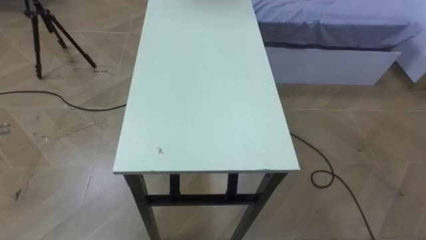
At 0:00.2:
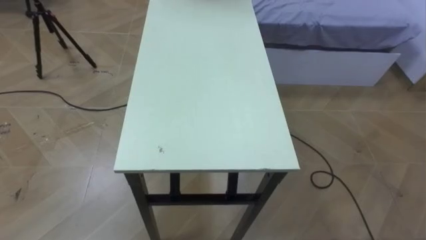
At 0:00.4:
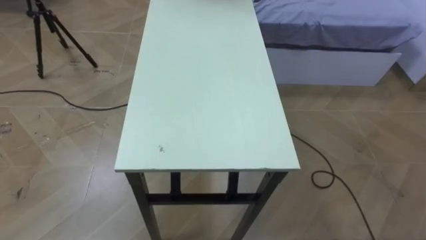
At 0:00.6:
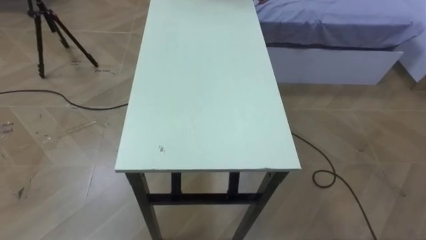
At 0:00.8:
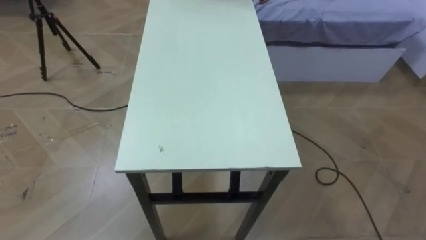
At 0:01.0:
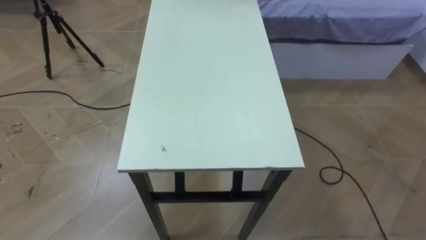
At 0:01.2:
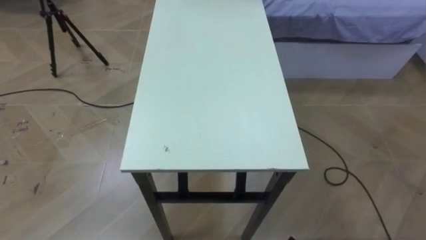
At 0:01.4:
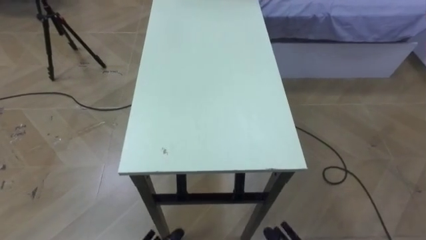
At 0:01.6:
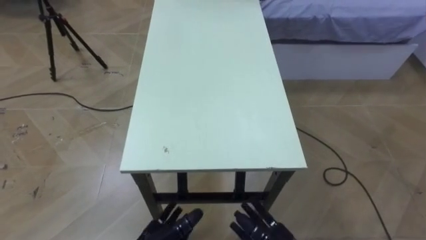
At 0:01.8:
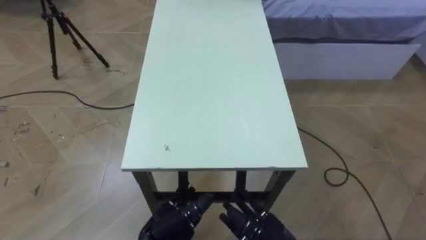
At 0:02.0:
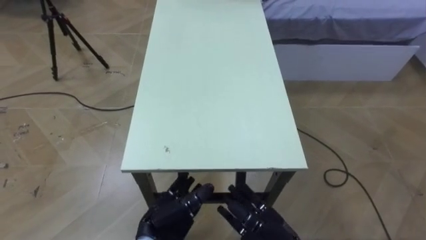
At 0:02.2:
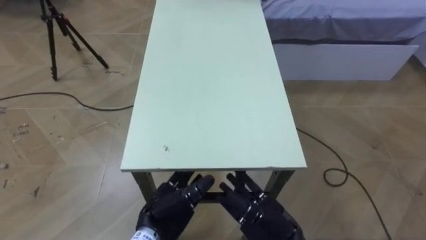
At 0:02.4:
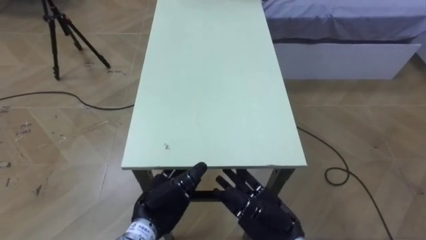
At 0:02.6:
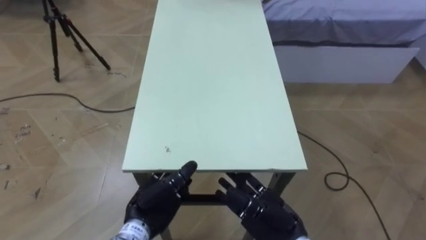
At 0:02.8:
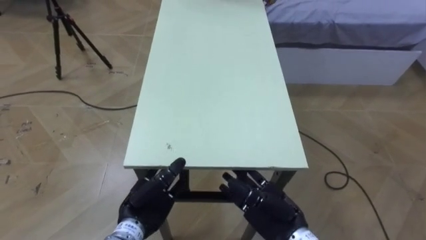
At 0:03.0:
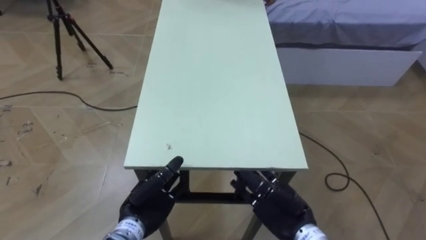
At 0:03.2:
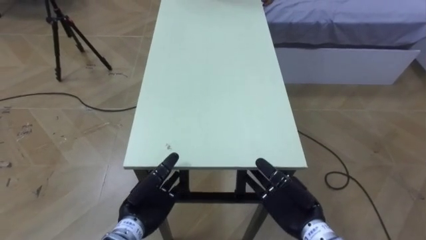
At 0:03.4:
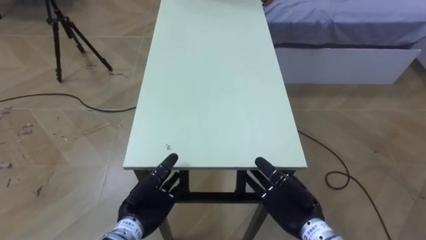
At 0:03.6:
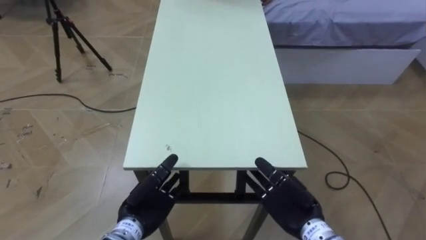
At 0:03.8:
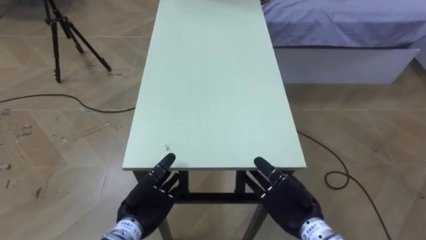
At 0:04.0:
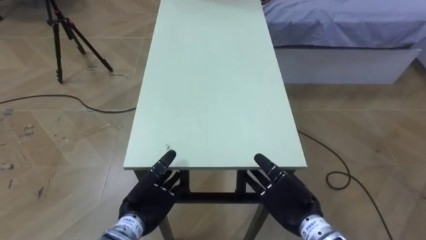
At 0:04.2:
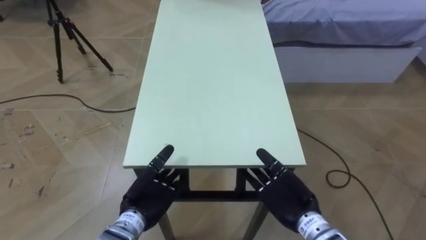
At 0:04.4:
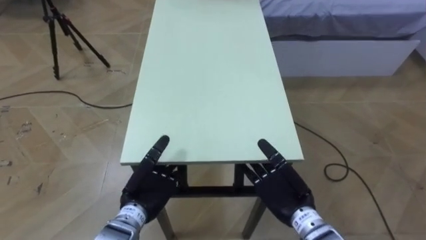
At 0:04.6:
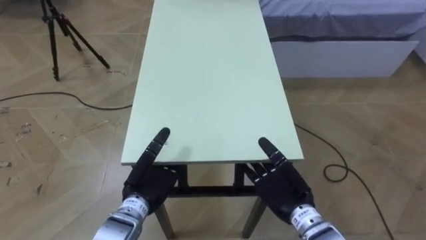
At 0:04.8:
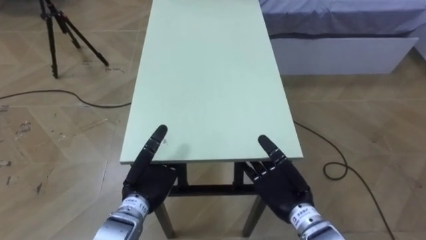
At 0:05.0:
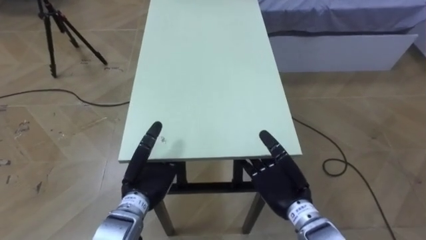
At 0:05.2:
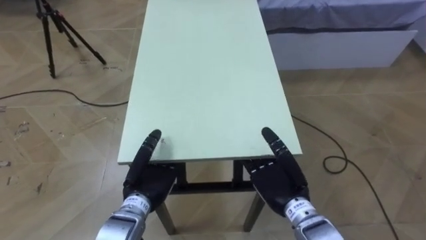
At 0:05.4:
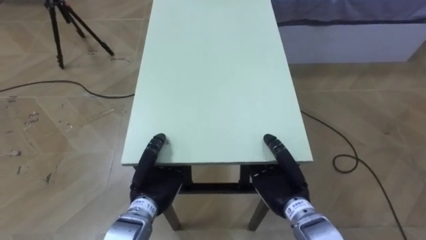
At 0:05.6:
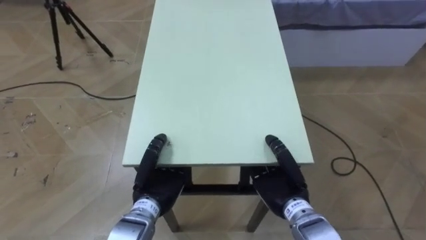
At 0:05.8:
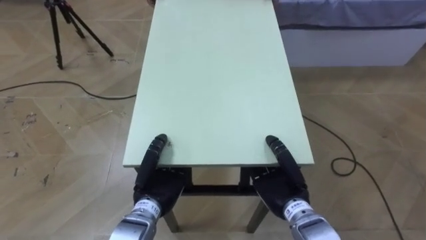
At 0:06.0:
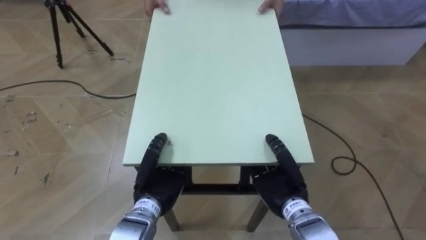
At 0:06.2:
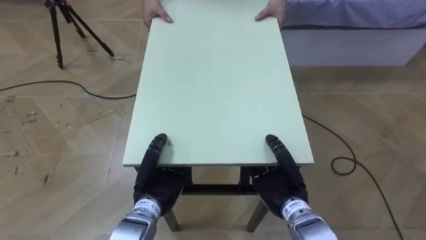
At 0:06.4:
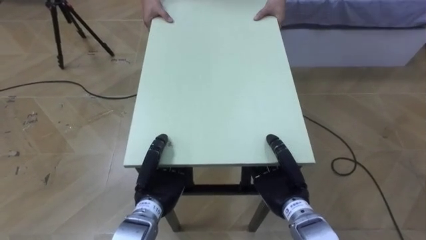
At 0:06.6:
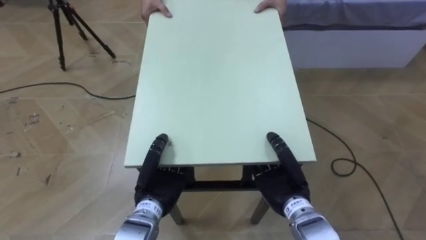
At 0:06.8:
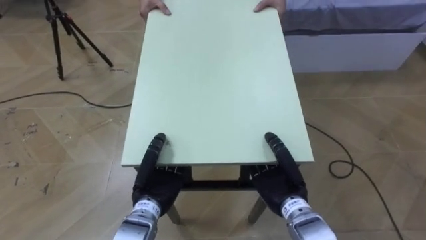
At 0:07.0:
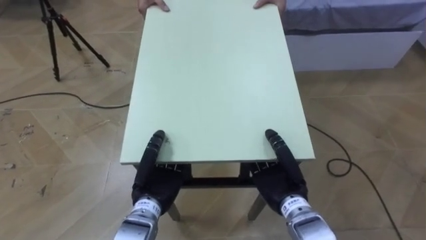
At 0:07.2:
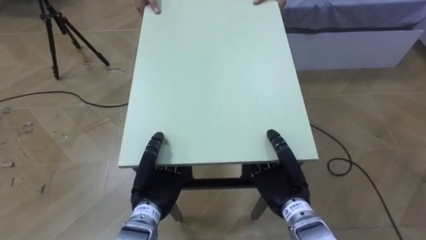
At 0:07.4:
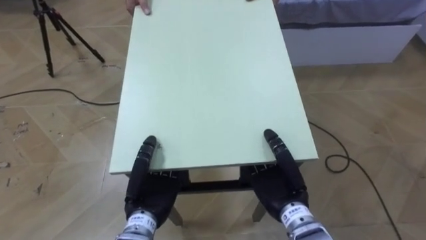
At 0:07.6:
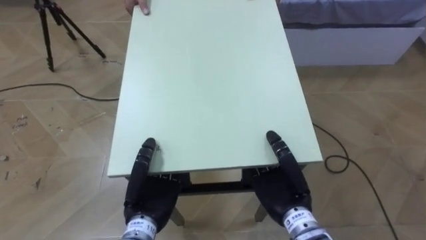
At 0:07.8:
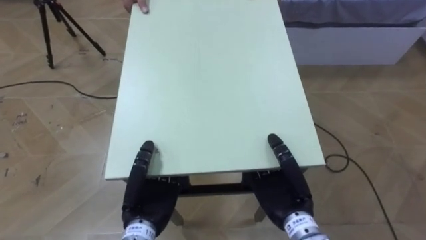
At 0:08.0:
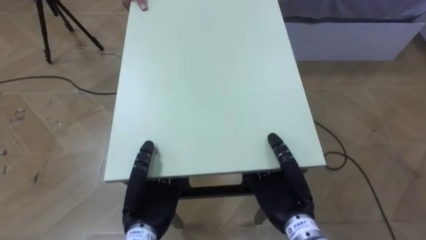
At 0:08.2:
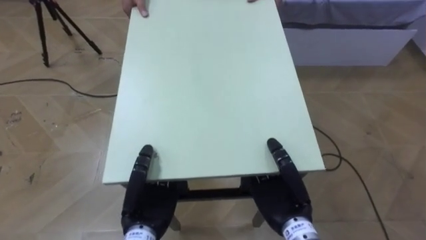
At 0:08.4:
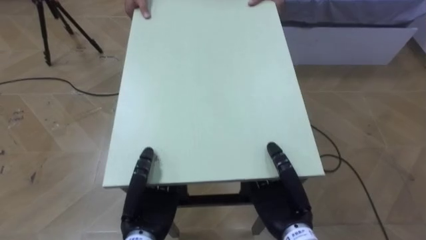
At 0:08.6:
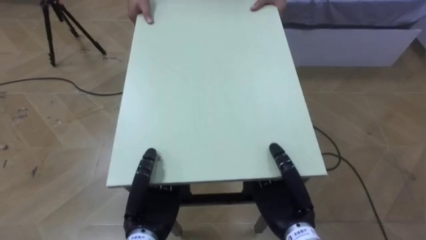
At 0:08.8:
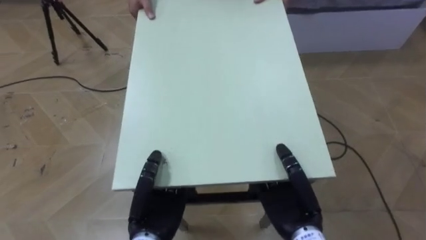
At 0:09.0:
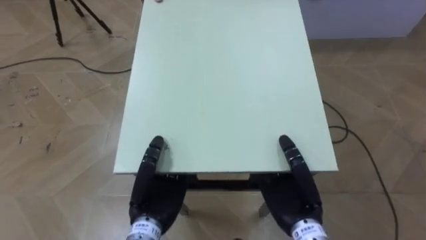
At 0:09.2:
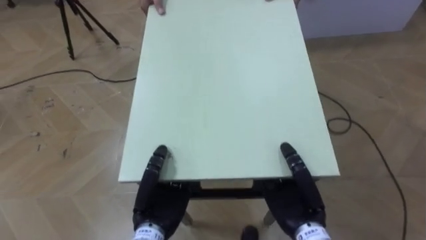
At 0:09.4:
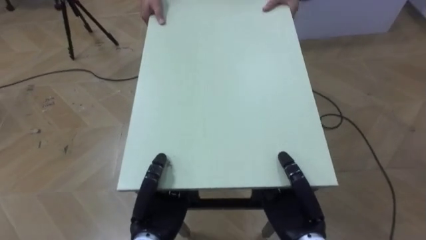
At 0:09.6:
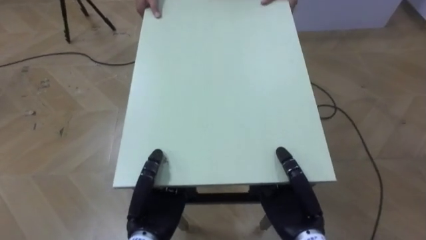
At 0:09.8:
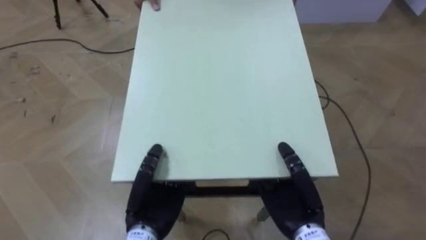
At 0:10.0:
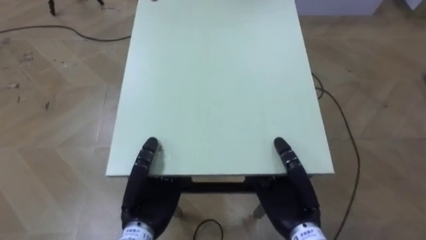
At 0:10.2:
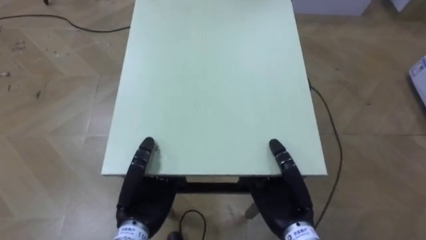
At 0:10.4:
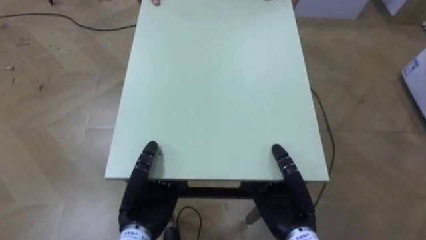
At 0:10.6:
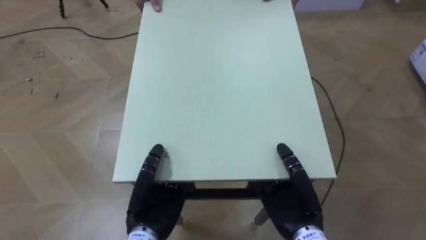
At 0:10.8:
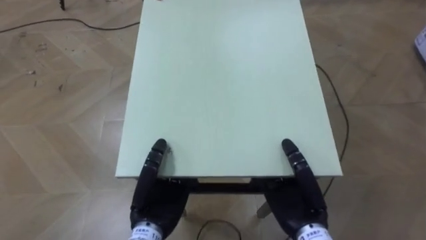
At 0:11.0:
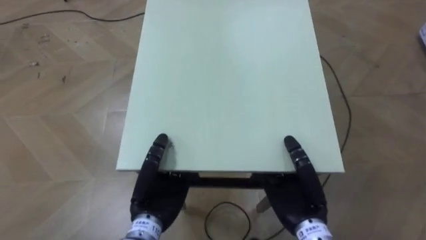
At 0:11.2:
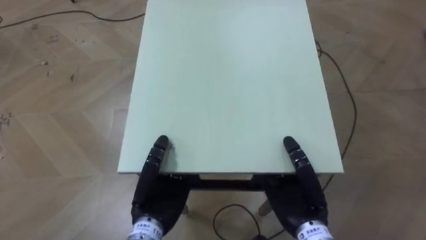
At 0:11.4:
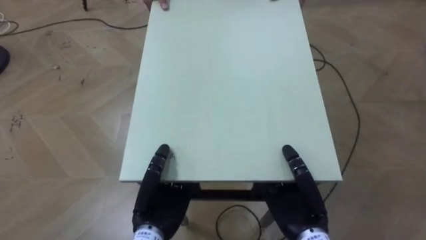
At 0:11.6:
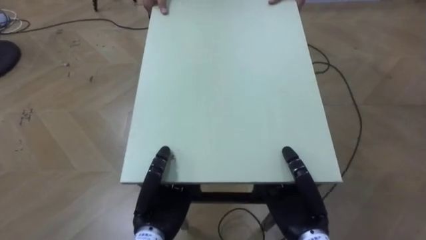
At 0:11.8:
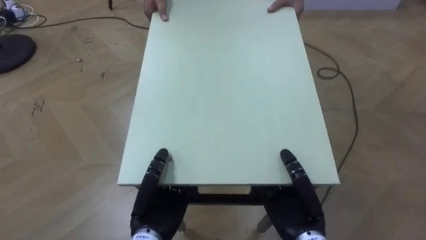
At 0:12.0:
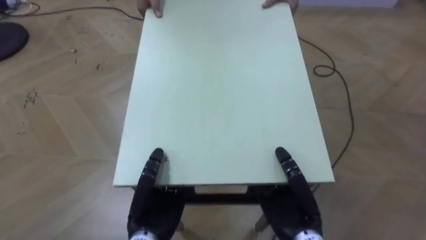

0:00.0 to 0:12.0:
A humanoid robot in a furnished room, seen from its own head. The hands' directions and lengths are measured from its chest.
Task of the whole recording: Move the table to the back left with someone.
0:04.4 to 0:06.0: The right hand closes; the left hand closes its fingers.

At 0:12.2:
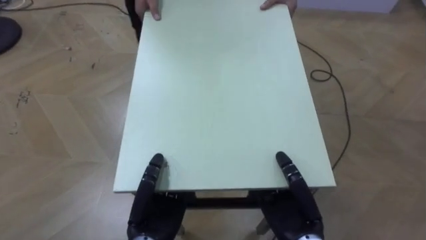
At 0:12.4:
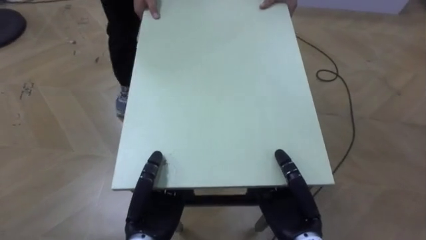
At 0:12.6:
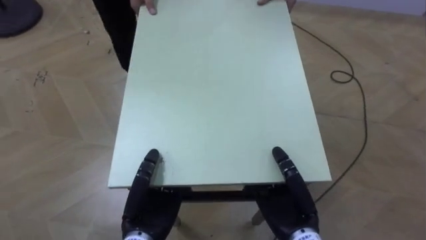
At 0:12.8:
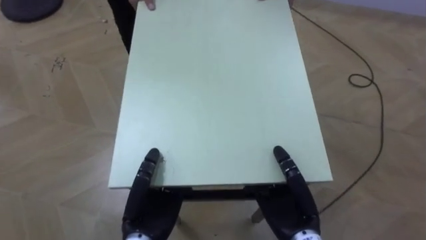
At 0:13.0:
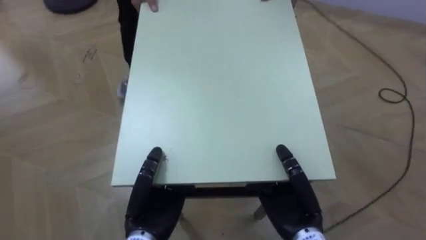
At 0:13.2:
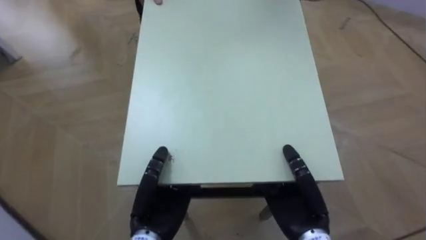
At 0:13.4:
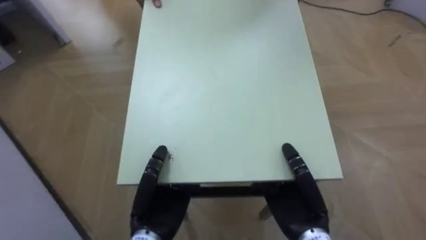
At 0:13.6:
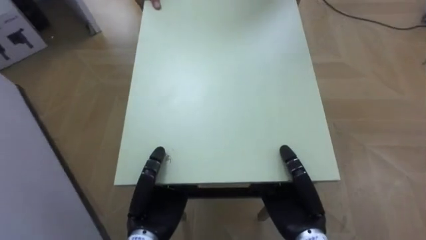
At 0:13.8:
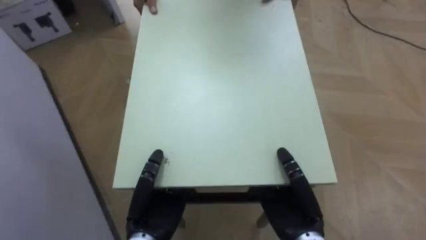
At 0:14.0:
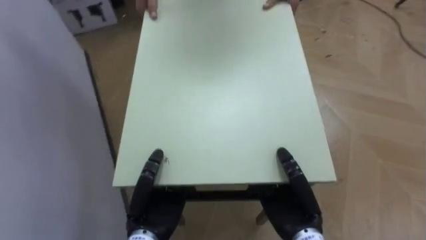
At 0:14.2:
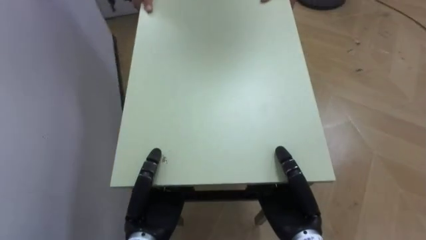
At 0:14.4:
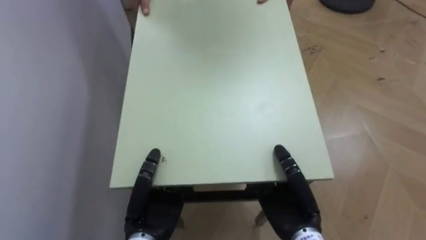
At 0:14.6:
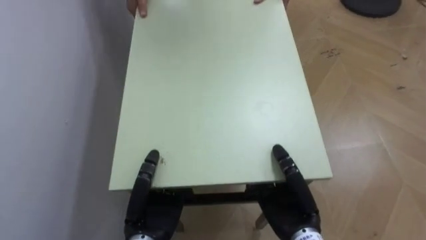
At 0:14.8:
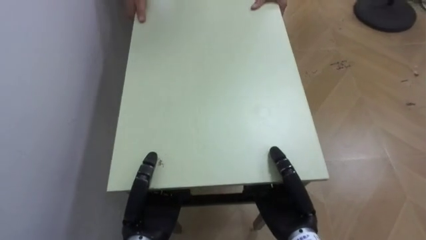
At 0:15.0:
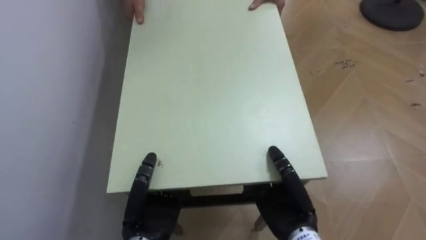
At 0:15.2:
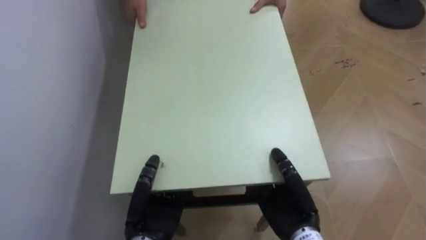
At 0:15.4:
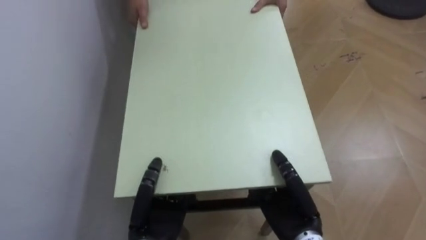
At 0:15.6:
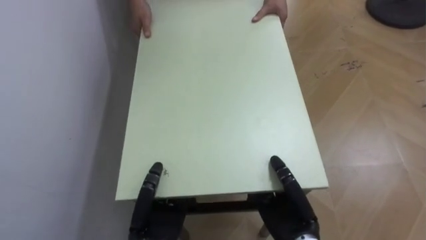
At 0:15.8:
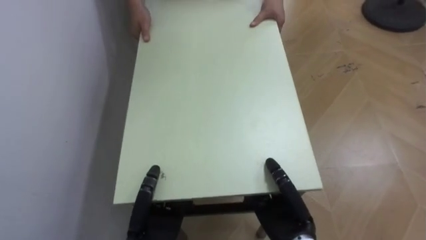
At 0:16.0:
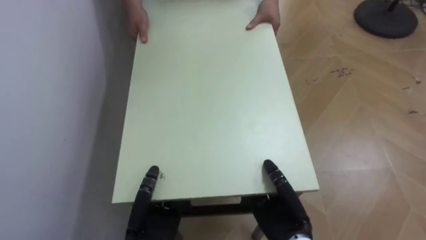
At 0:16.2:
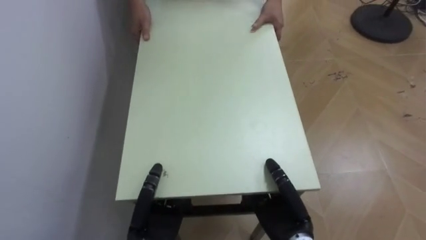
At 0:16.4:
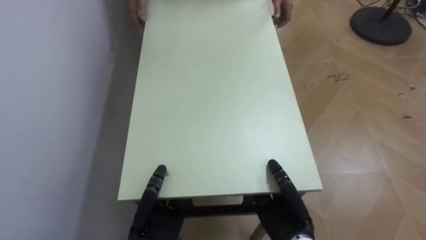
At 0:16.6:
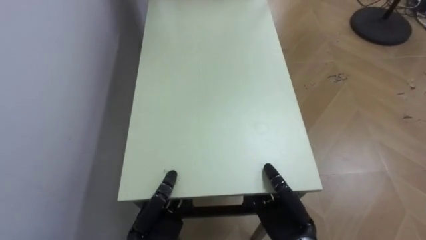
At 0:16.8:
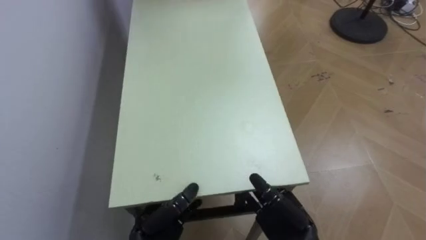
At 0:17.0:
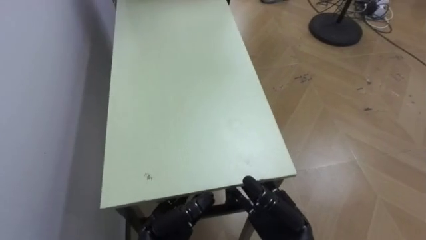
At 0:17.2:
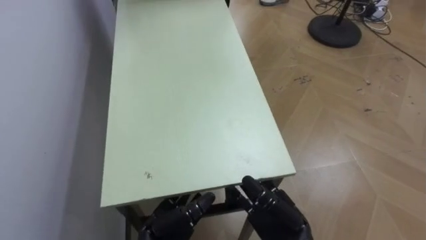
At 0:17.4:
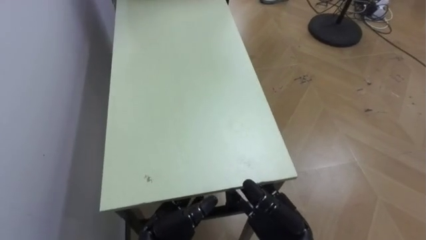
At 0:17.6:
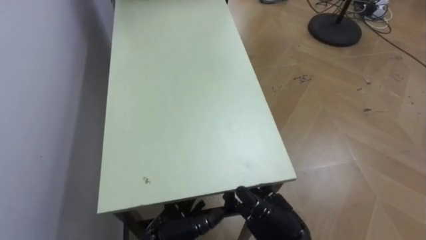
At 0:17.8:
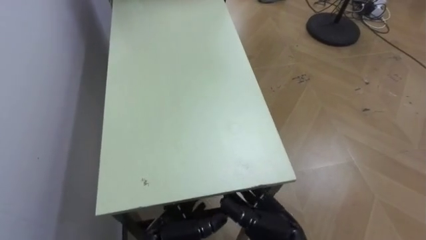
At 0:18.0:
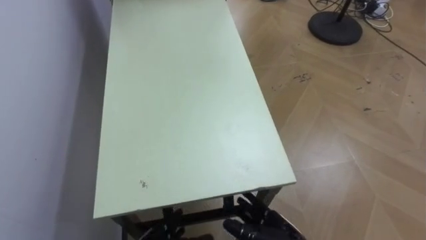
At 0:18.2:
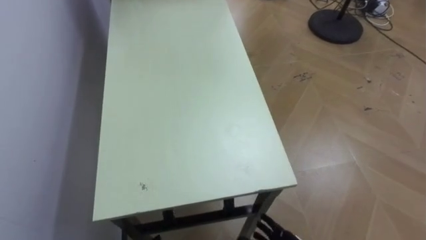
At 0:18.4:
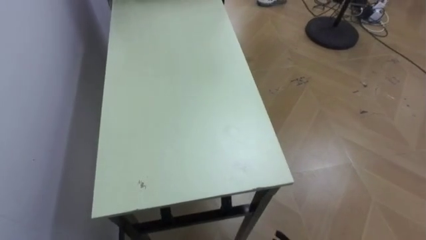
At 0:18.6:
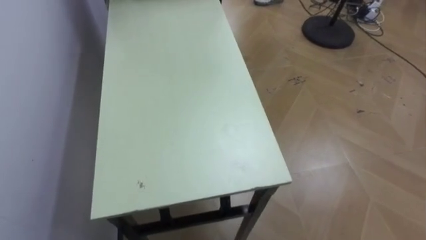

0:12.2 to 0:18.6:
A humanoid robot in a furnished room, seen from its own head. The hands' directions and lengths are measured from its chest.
Task of the whole recording: Move the table to the back left with someone.
0:12.2 to 0:13.8: The robot's body swings about 50 degrees to its left.
0:13.8 to 0:15.4: The robot faces about 30 degrees further to its left.
0:15.4 to 0:17.0: The right hand opens, while the left hand opens up.
